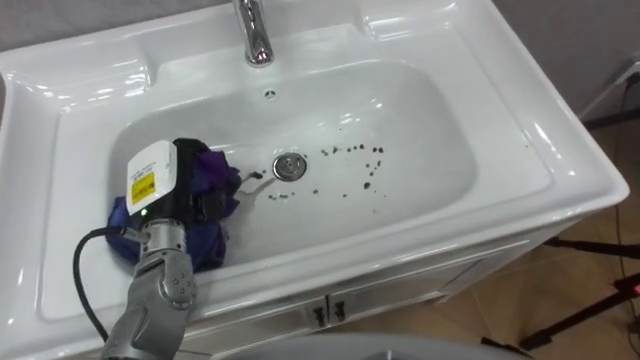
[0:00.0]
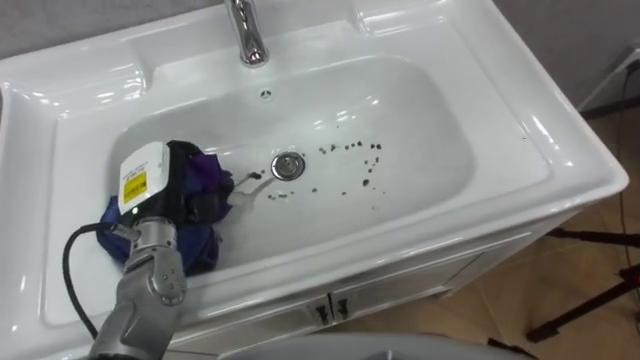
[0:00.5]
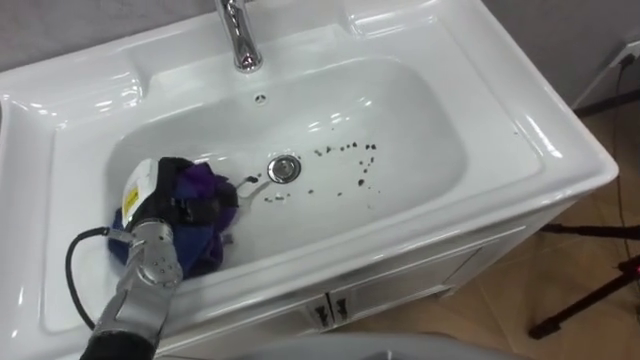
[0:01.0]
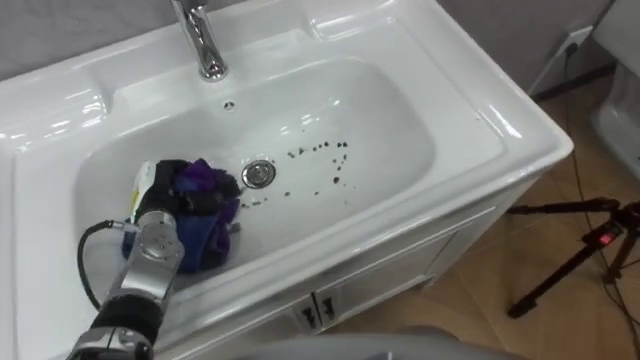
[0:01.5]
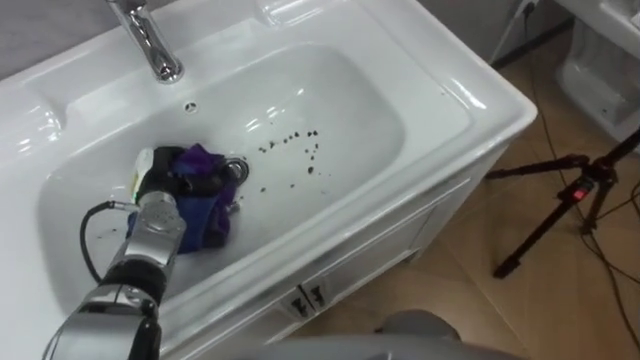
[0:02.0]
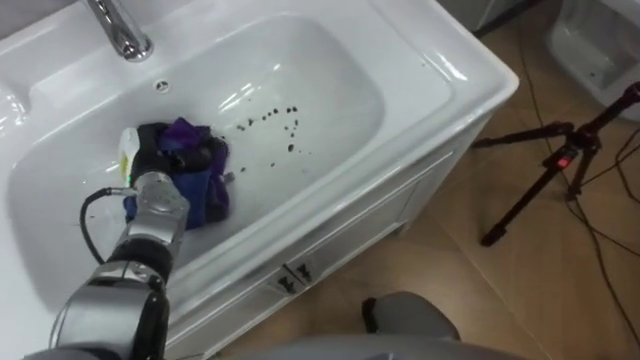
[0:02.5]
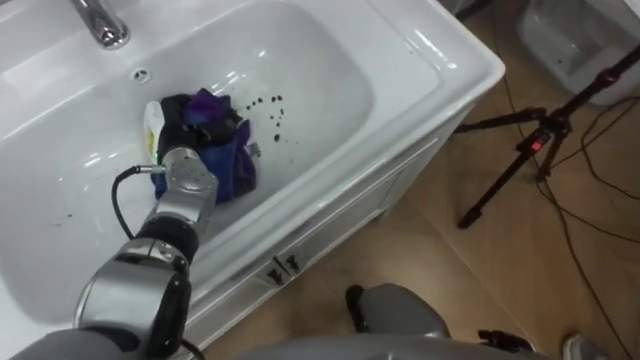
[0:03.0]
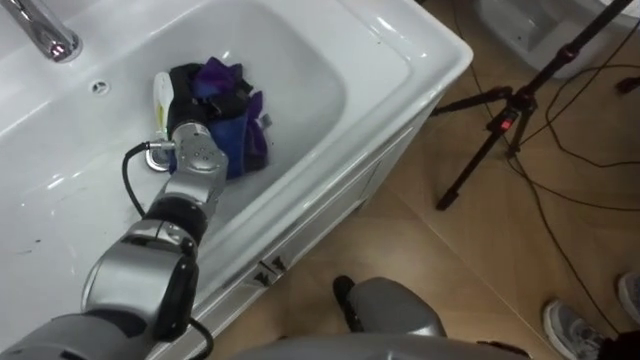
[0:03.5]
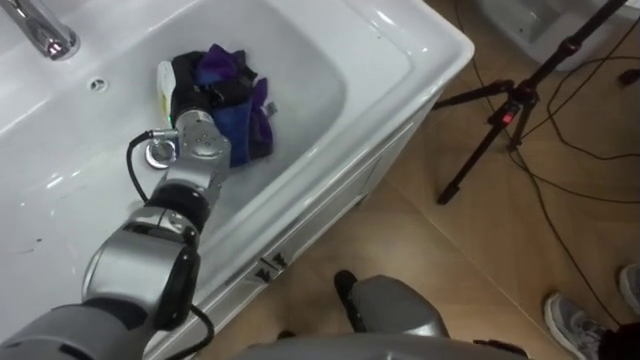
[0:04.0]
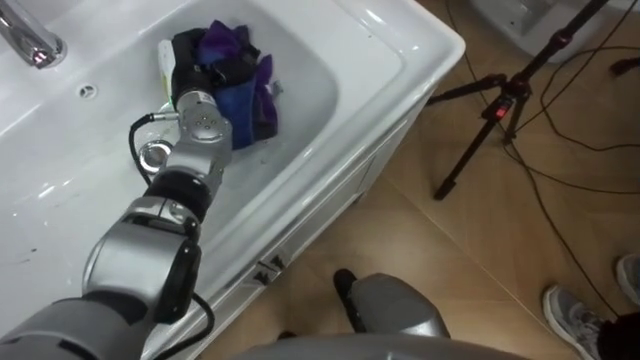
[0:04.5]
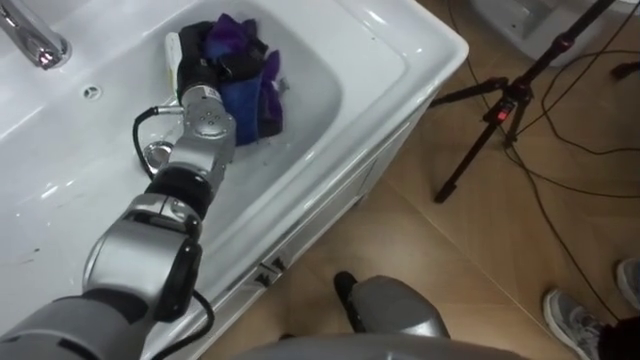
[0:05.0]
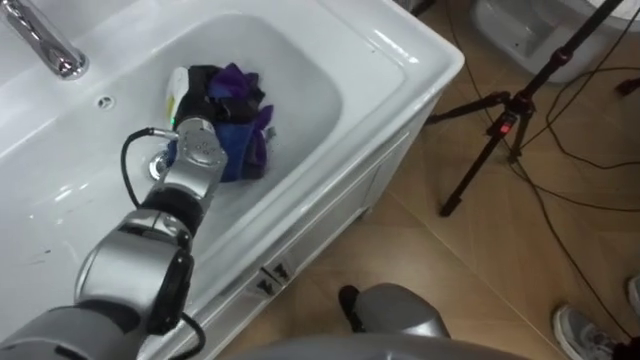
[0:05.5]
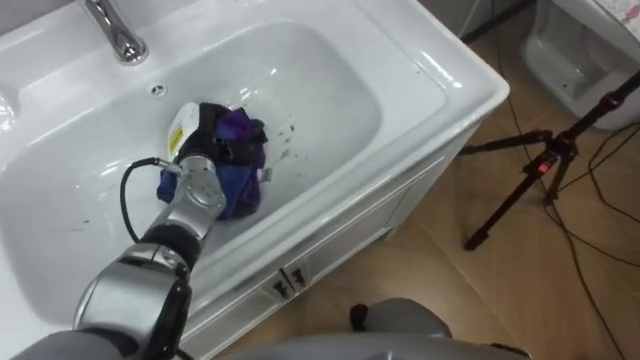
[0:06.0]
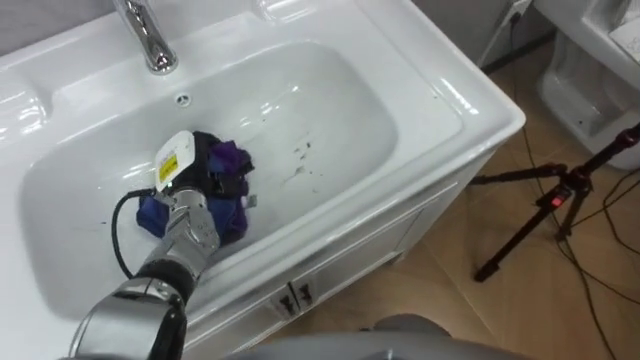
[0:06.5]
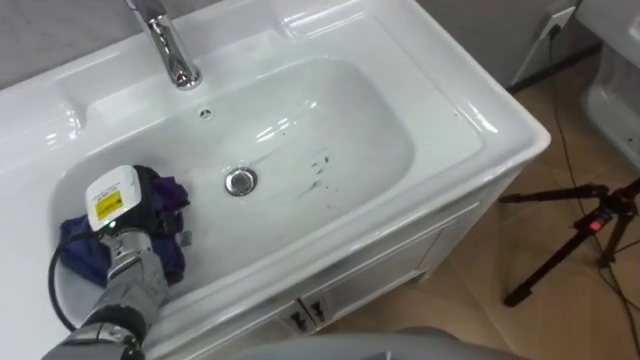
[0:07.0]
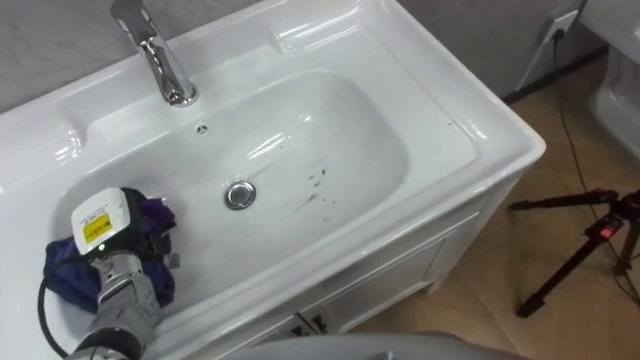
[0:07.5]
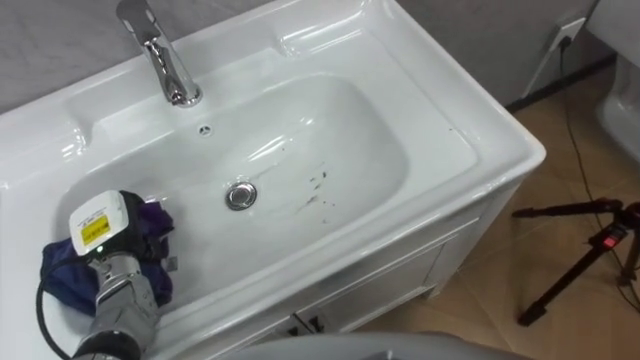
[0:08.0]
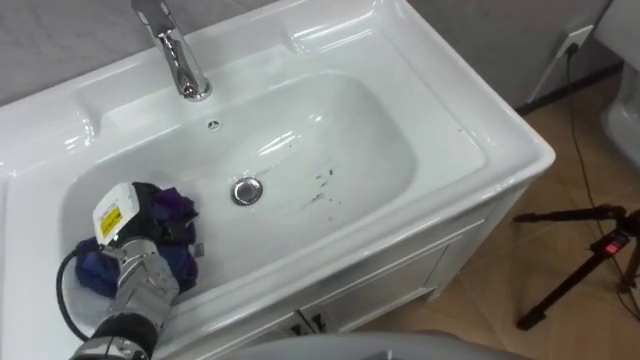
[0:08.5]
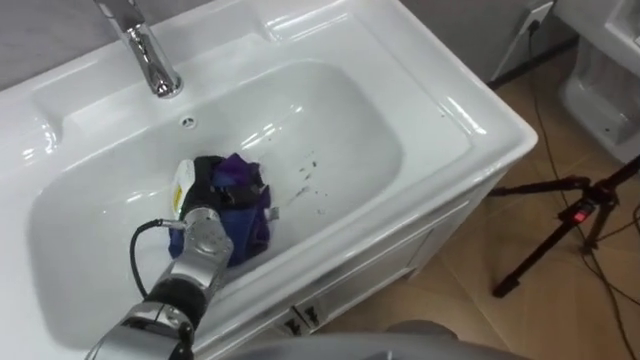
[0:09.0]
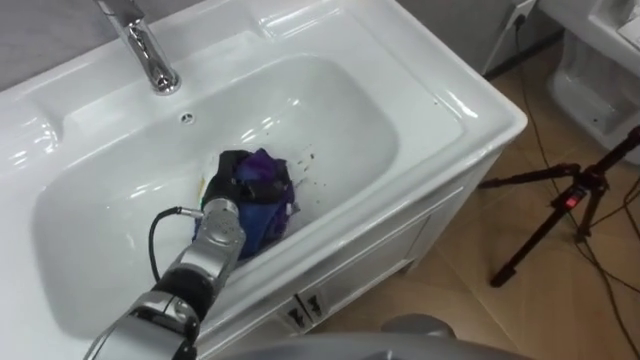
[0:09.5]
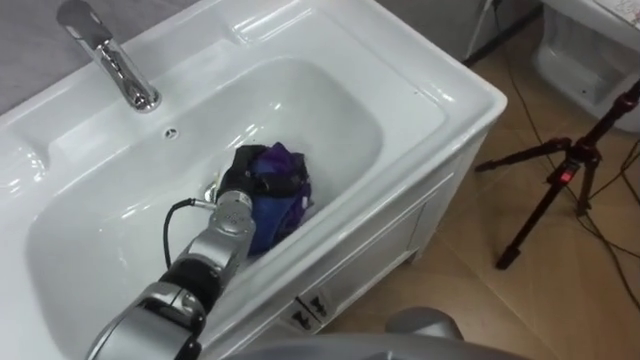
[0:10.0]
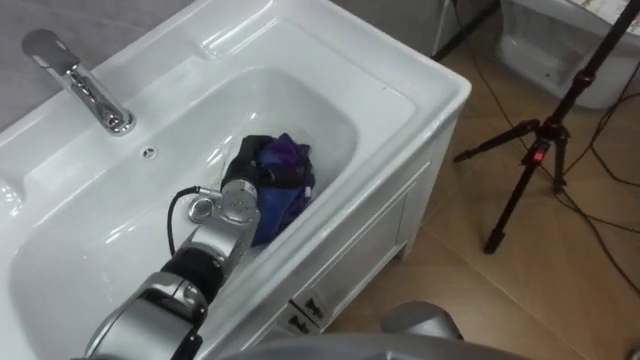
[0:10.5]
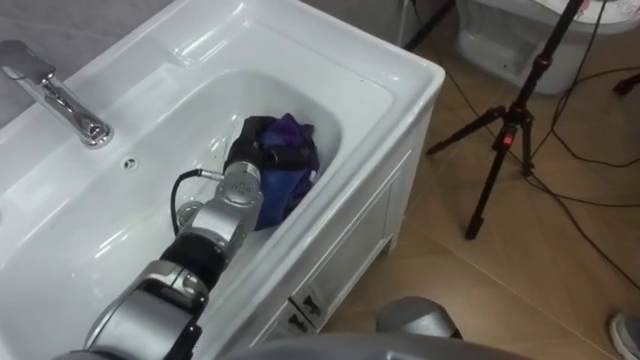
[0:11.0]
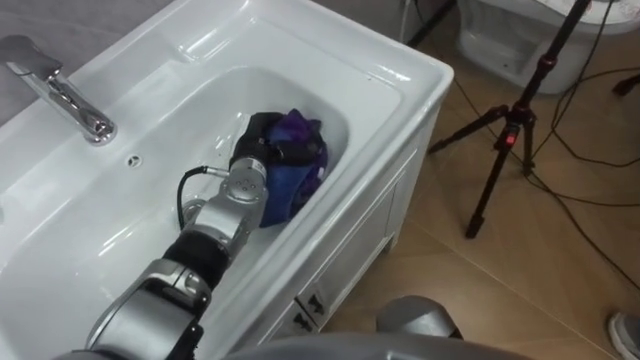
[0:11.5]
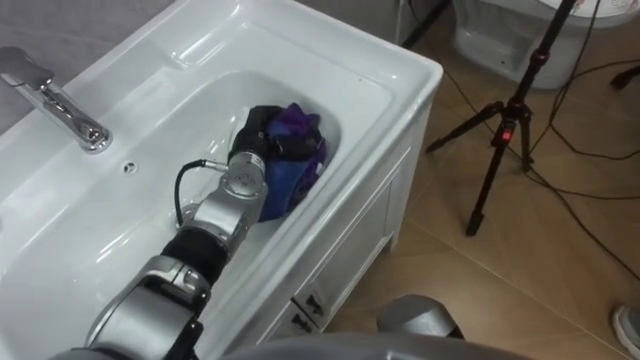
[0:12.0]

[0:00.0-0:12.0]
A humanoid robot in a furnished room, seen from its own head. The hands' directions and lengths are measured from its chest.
Task of the whole recording: Use the cloth on the right to wipe away the black stain in the sink.
0.0 to 2.0 s: The left hand travels downward by roughly 10 cm.
2.0 to 4.0 s: The left hand heads forward, upward and to the right, covering roughly 15 cm.
4.0 to 6.0 s: The left hand shifts roughly 5 cm downward.
6.0 to 8.0 s: The left hand heads backward and to the left, covering about 20 cm.
8.0 to 10.0 s: The left hand heads to the right and forward, covering about 20 cm.
10.0 to 12.0 s: The left hand moves roughly 5 cm.

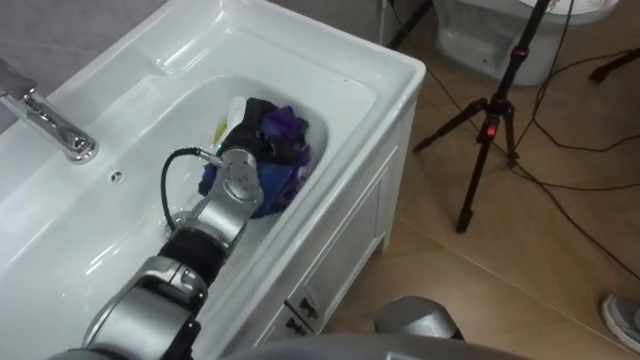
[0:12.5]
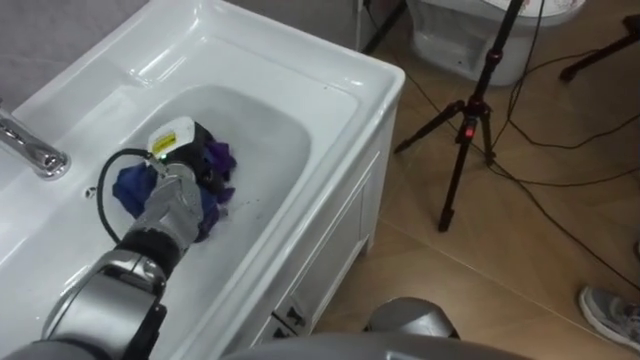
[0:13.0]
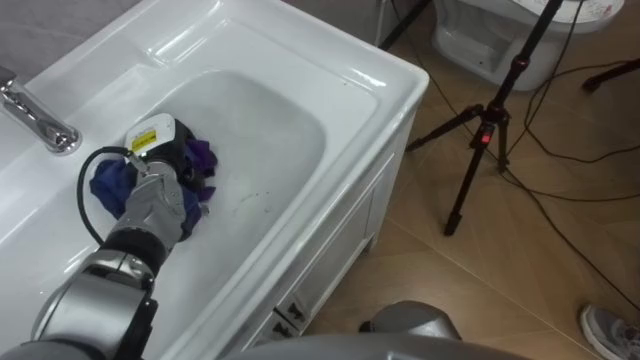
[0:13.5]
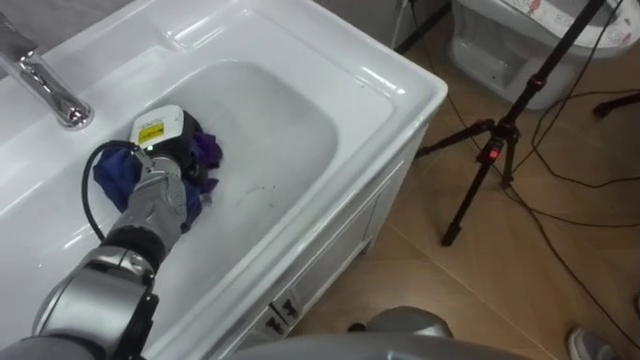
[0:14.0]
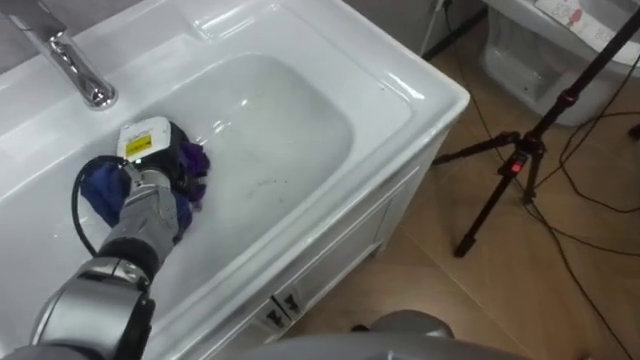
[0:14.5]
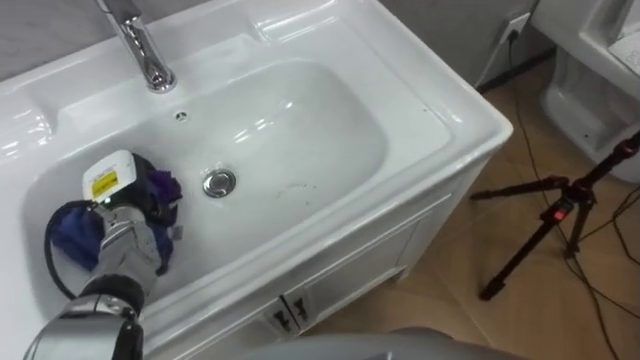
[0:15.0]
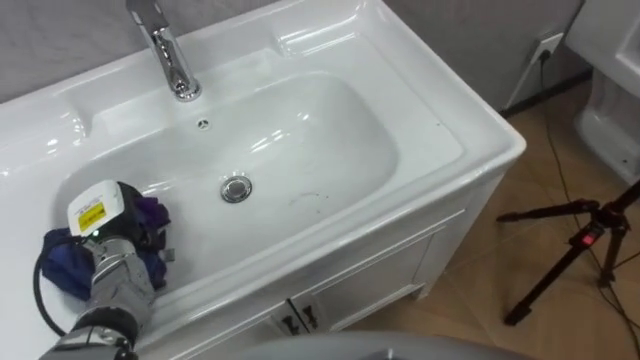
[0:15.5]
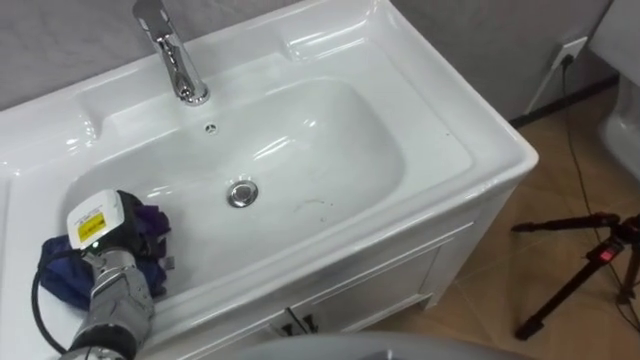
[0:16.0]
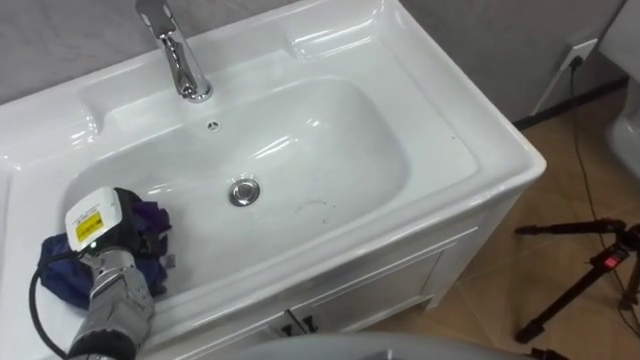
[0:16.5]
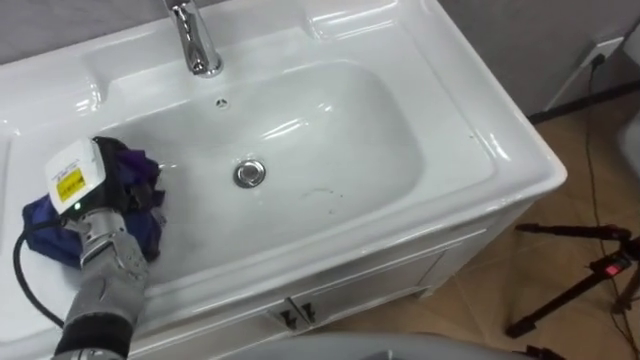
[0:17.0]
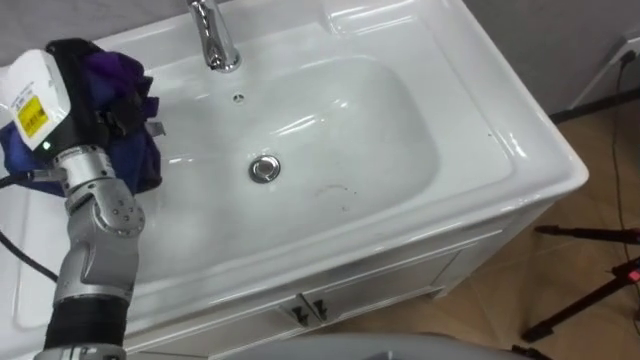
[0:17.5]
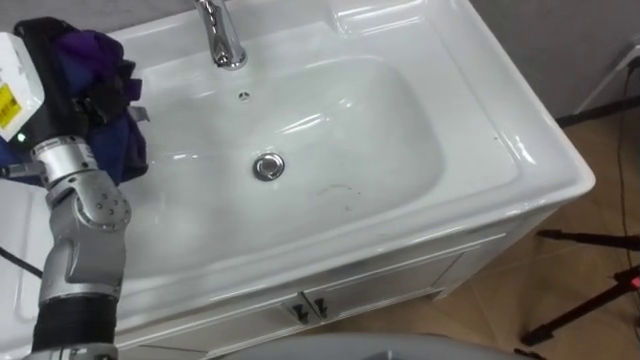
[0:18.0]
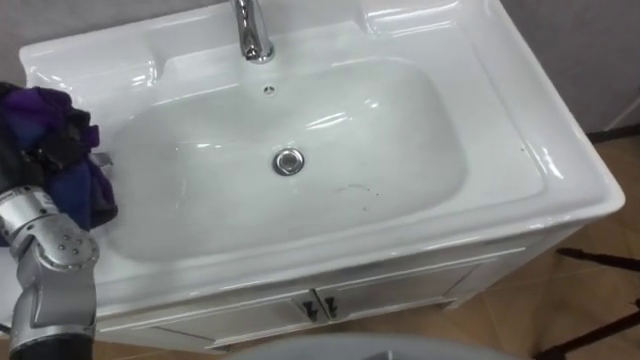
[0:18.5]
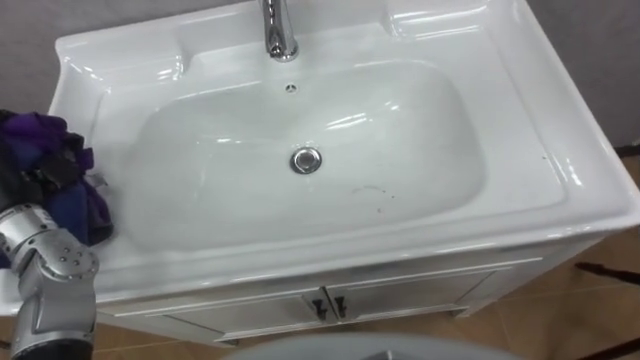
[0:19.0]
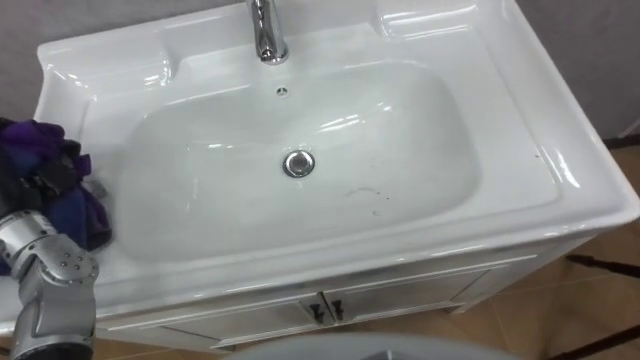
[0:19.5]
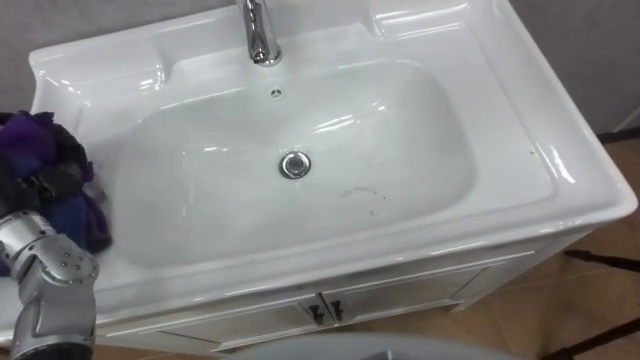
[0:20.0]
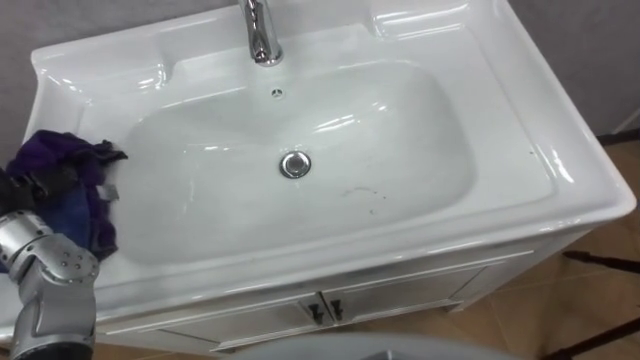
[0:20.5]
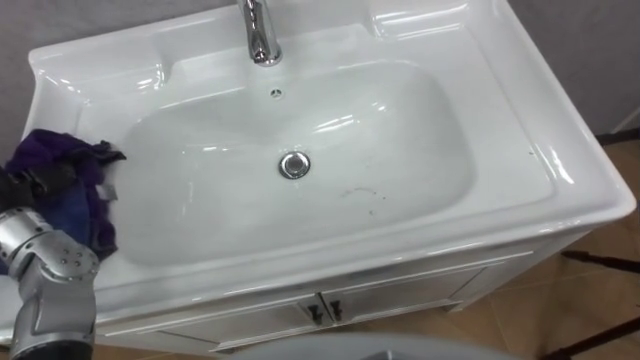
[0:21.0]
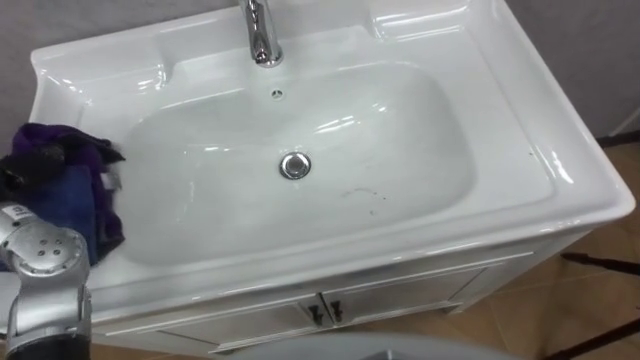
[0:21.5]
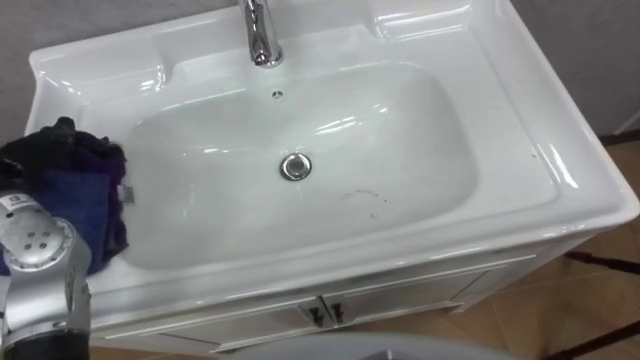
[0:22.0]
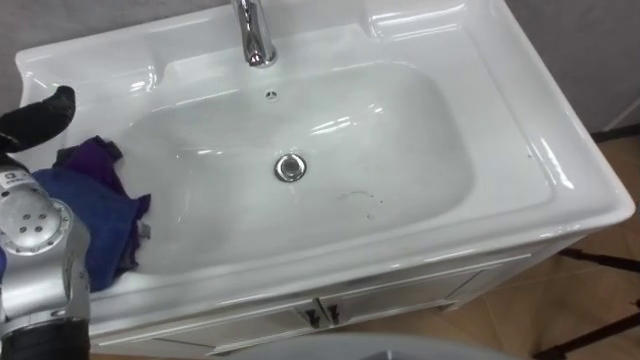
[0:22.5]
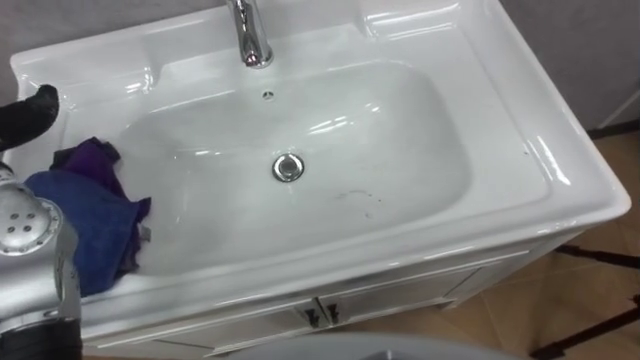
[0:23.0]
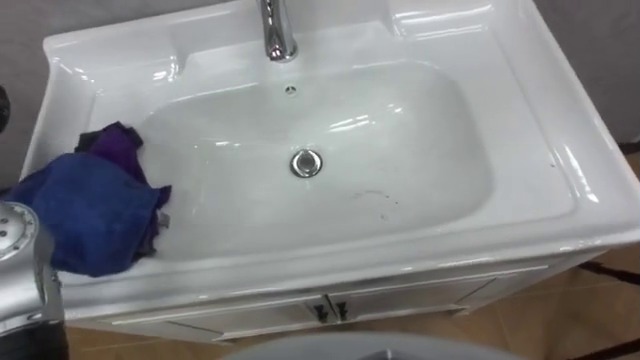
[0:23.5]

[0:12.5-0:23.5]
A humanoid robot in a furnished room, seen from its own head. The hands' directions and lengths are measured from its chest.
Task of the whole recording: Use the cloth on the right to wipe away the black stain in the sink.
12.5 to 14.5 s: The left hand shifts approximately 15 cm to the left.
14.5 to 16.0 s: The left hand heads backward and to the left, covering roughly 15 cm.
16.0 to 18.0 s: The left hand is displaced upward by approximately 20 cm.
